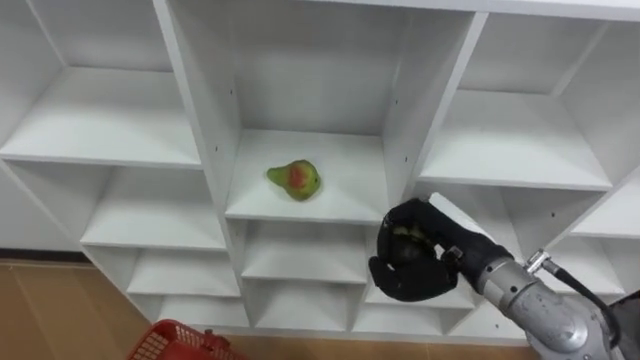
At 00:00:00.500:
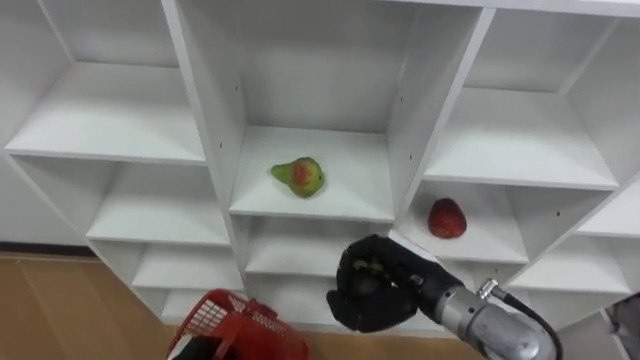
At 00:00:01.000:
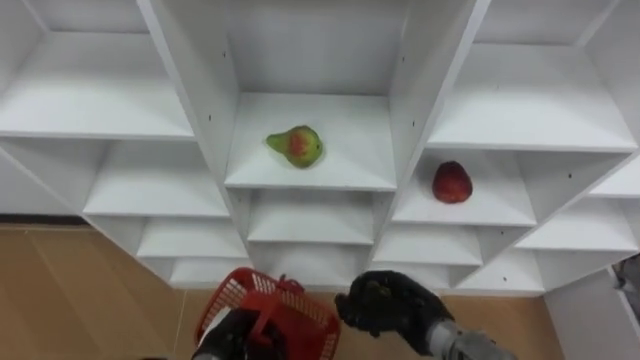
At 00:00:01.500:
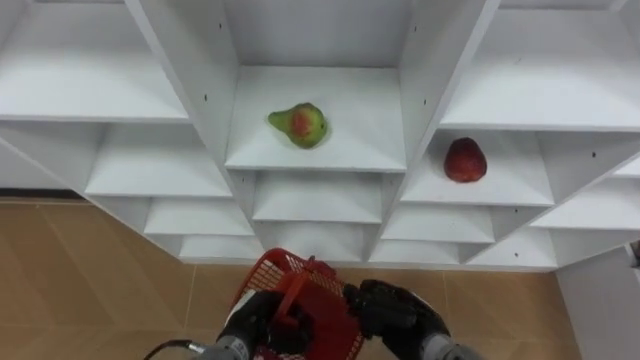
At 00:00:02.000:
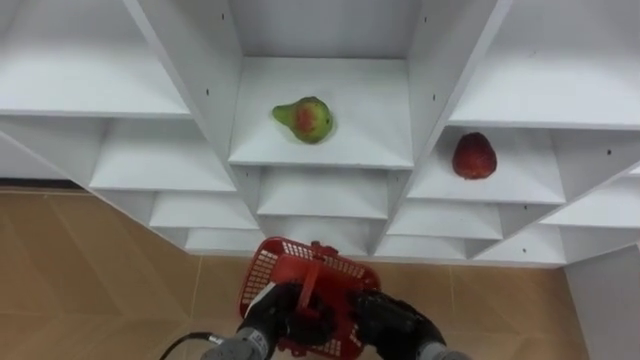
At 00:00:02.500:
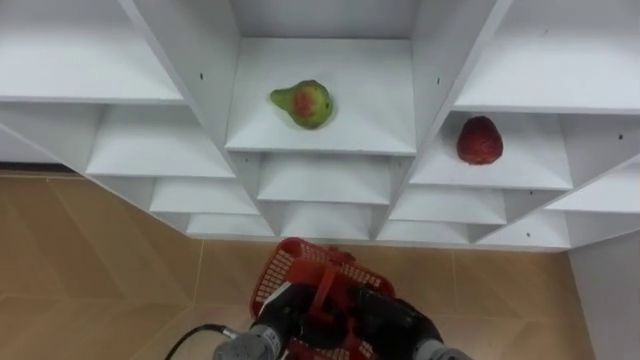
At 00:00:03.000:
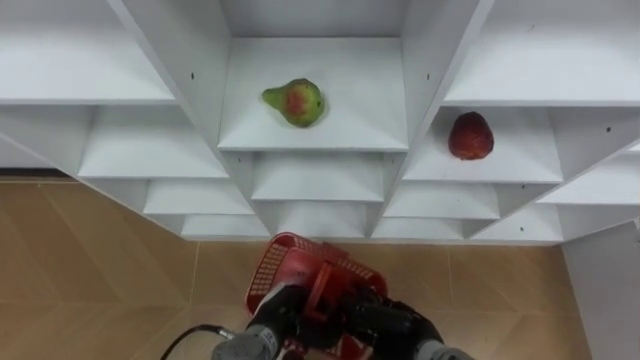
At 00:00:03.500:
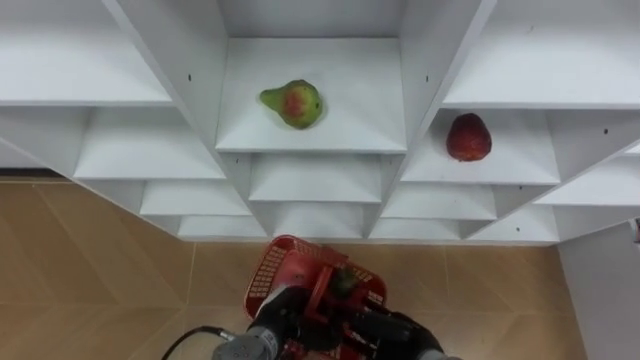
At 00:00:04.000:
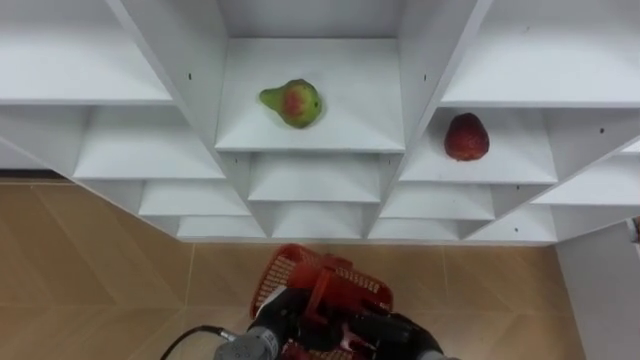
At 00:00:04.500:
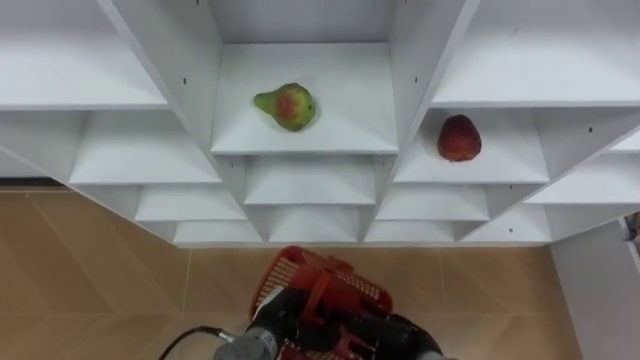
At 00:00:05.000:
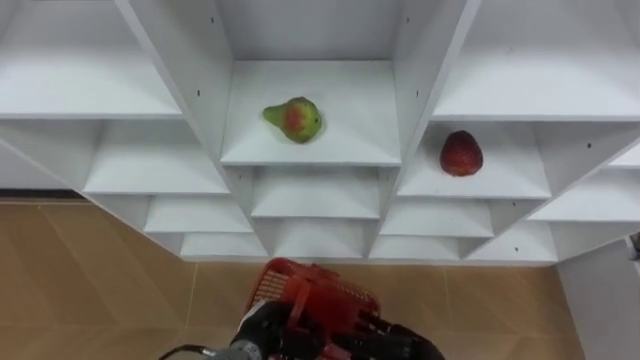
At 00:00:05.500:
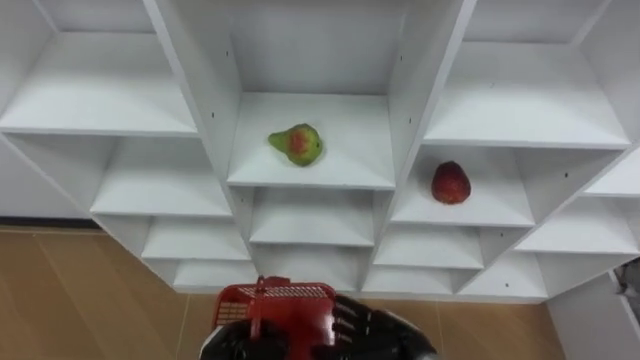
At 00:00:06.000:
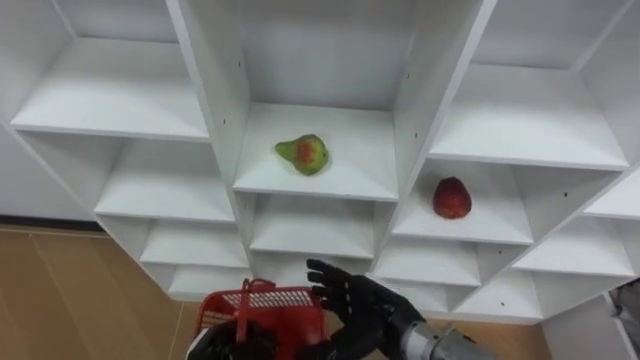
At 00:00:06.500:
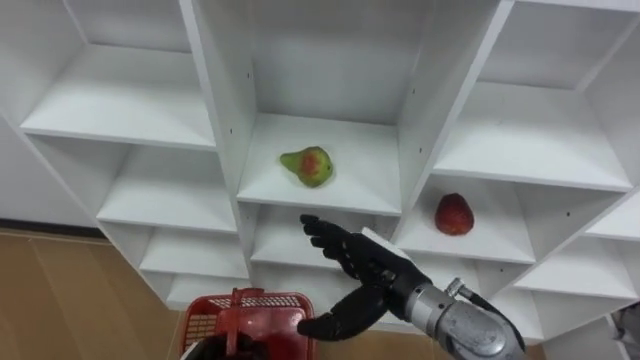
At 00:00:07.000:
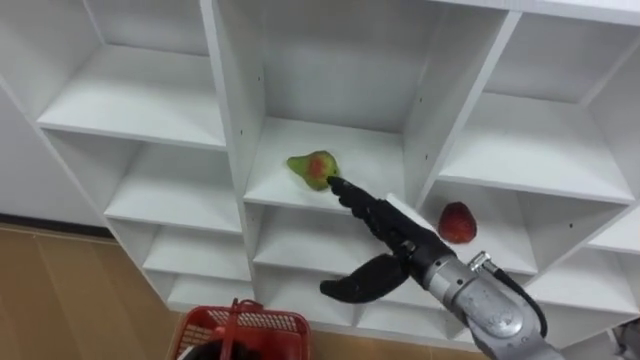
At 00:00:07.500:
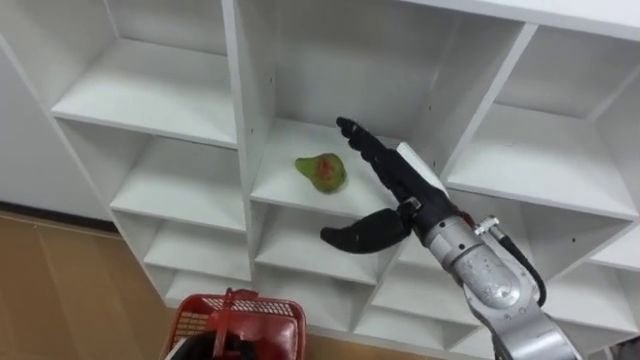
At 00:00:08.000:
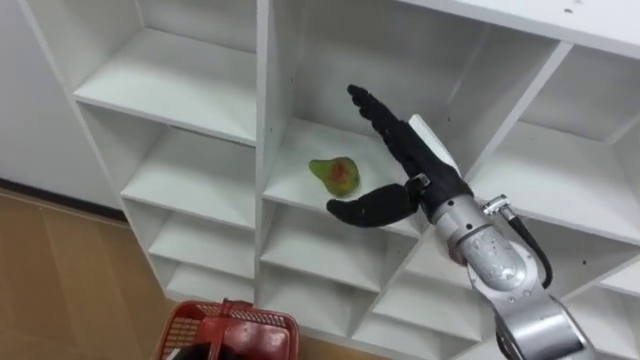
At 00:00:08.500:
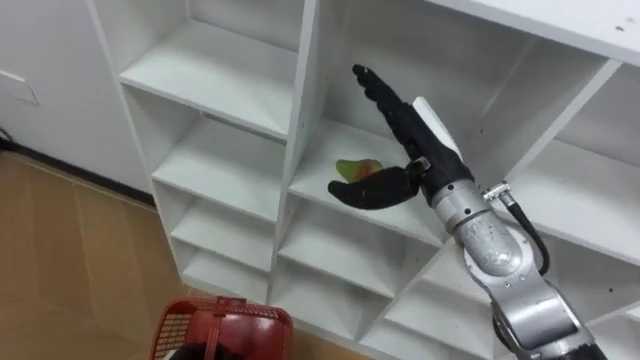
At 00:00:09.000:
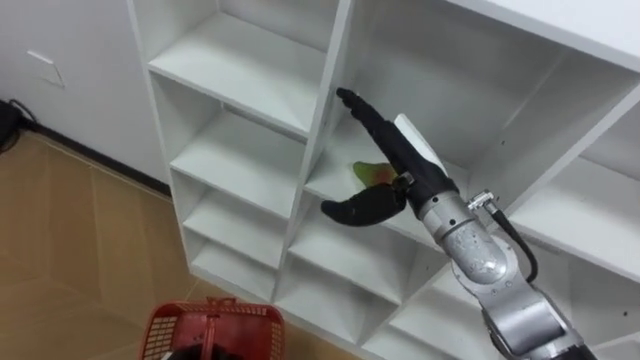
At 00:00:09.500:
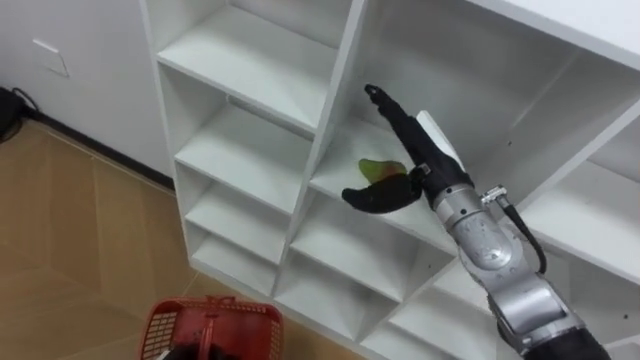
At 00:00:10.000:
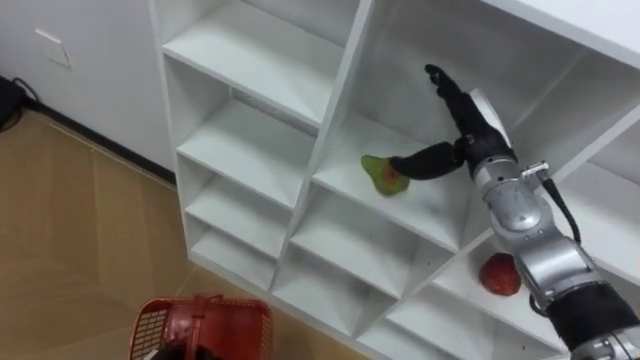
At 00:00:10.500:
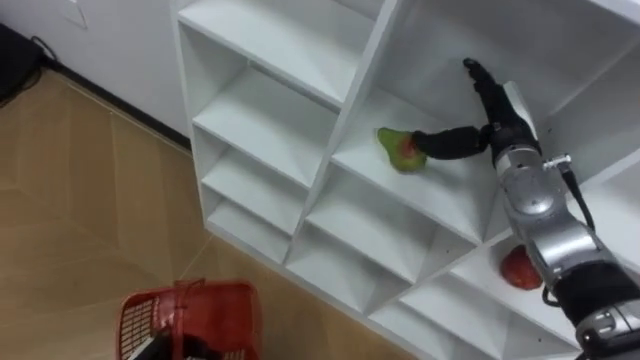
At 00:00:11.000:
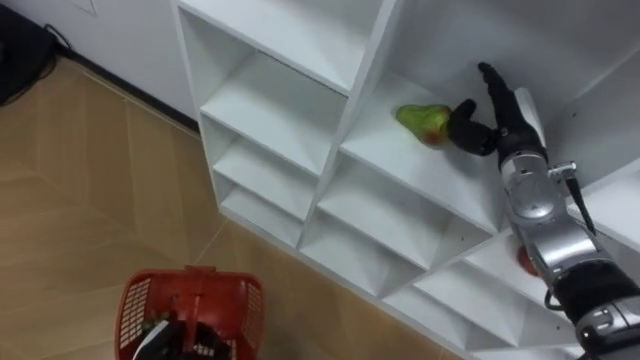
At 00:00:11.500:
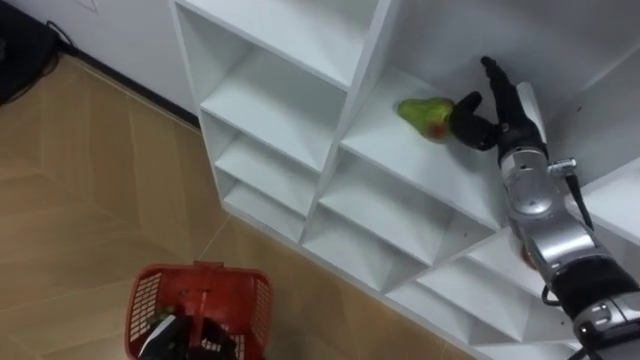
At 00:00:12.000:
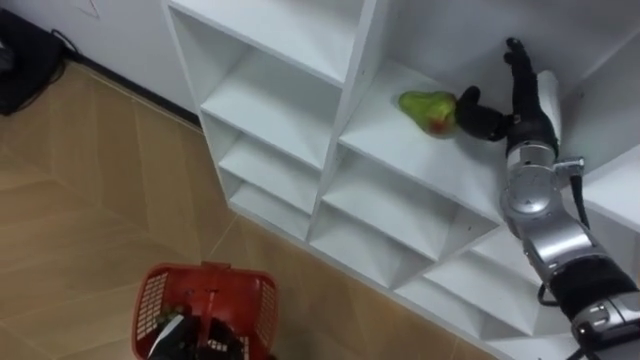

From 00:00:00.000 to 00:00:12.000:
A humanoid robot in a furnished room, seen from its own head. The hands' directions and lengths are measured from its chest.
Task of the whole recording: Hold the basket and collect the fruits from 3 different cells of the closet into it.
From 00:00:00.000 to 00:00:02.000: The right hand heads downward, covering some 20 cm.
From 00:00:02.000 to 00:00:04.000: The right hand opens.
From 00:00:04.000 to 00:00:06.000: The right hand travels upward by roughly 10 cm; the left hand travels to the left by roughly 10 cm.
From 00:00:06.000 to 00:00:08.000: The right hand shifts approximately 20 cm upward and forward.
From 00:00:08.000 to 00:00:10.000: The right hand shifts roughly 10 cm to the right and forward.
From 00:00:10.000 to 00:00:12.000: The right hand travels to the right by about 5 cm.

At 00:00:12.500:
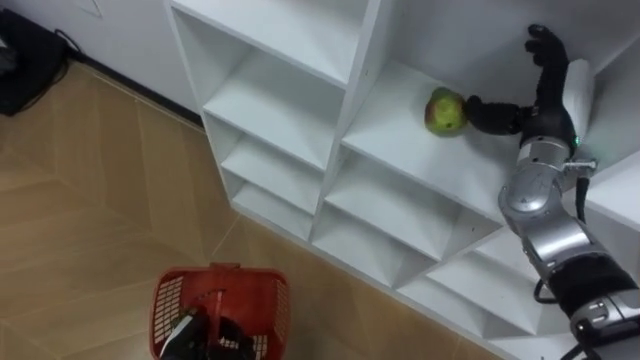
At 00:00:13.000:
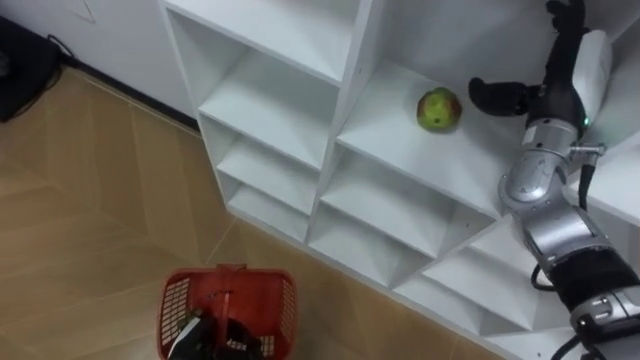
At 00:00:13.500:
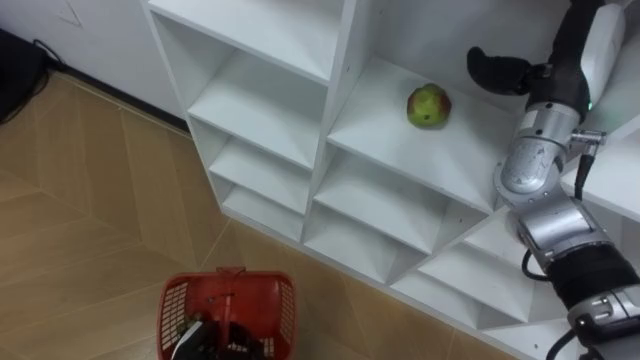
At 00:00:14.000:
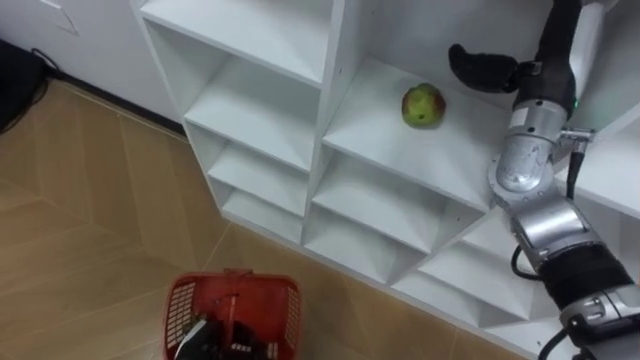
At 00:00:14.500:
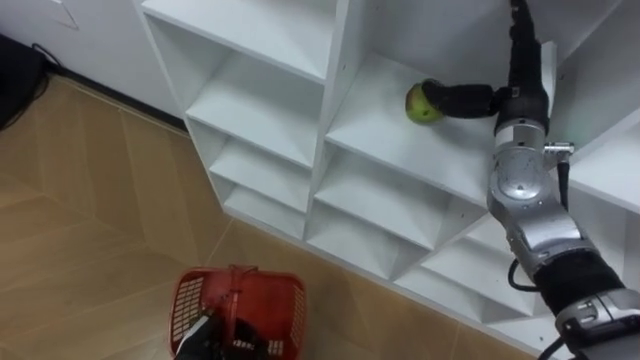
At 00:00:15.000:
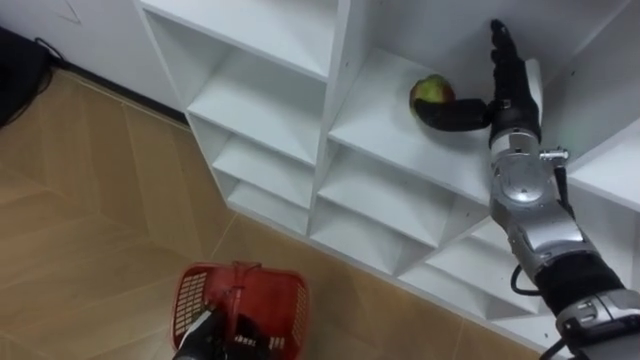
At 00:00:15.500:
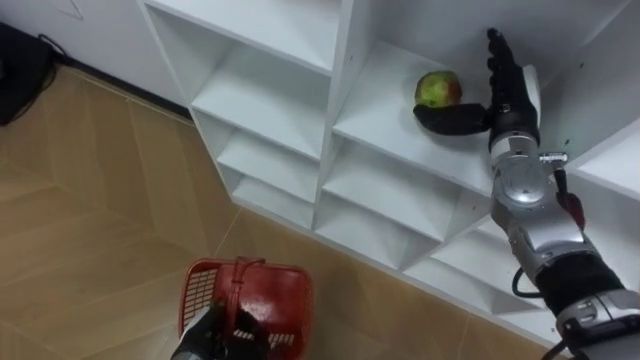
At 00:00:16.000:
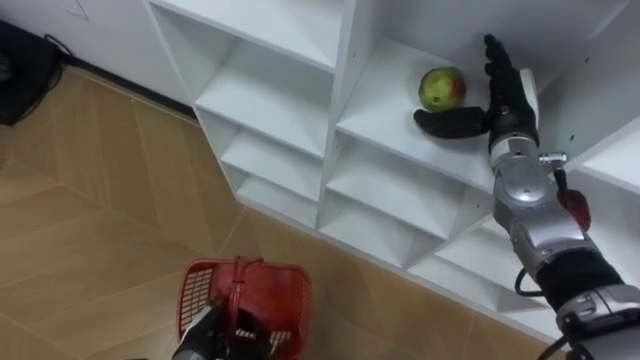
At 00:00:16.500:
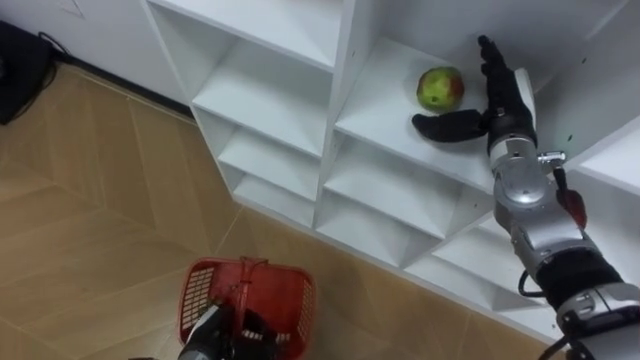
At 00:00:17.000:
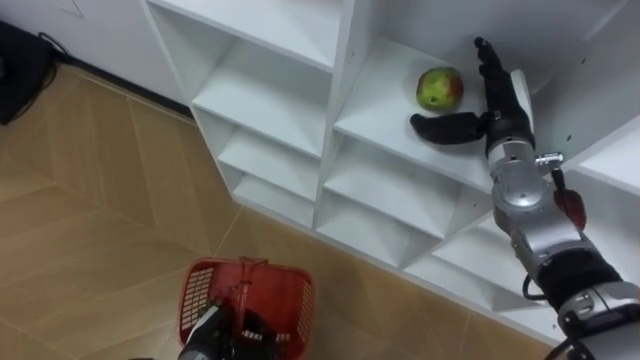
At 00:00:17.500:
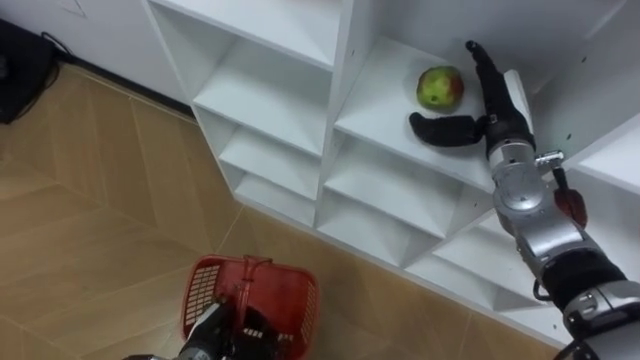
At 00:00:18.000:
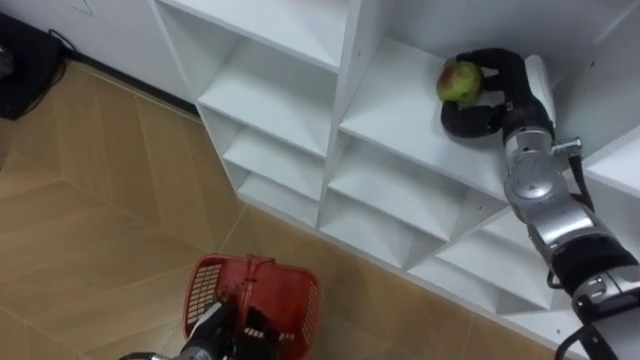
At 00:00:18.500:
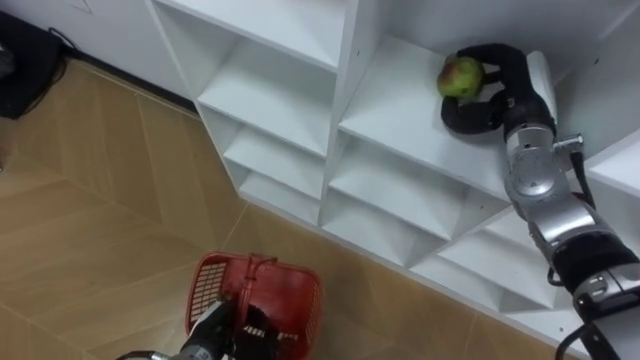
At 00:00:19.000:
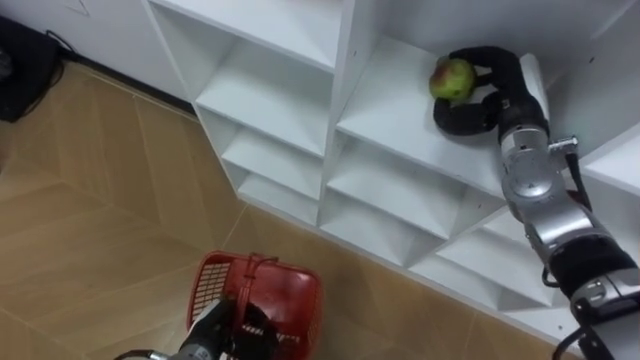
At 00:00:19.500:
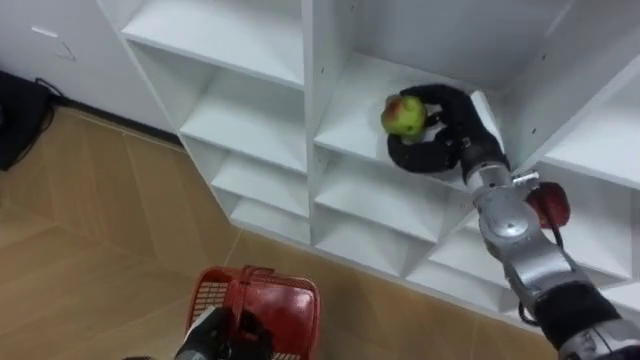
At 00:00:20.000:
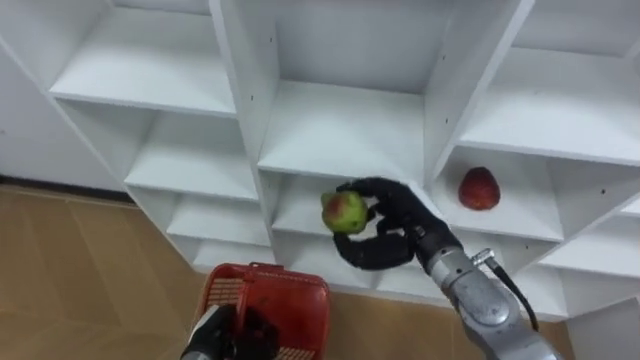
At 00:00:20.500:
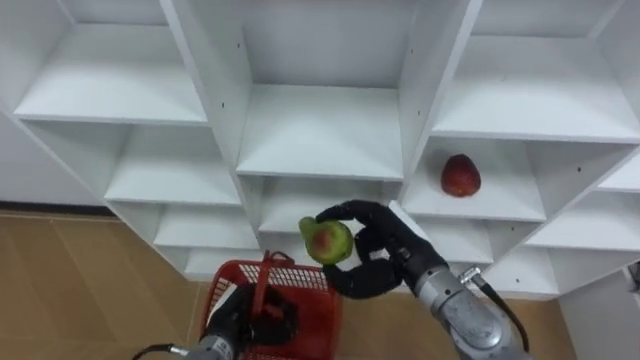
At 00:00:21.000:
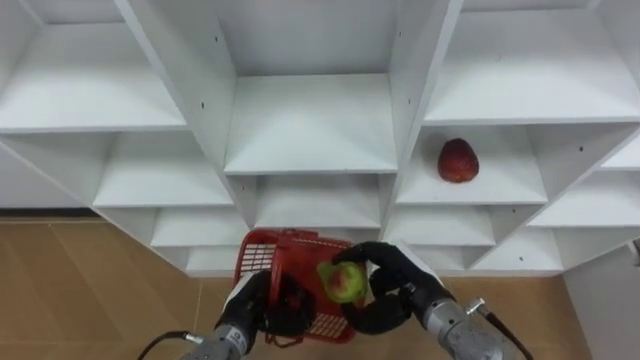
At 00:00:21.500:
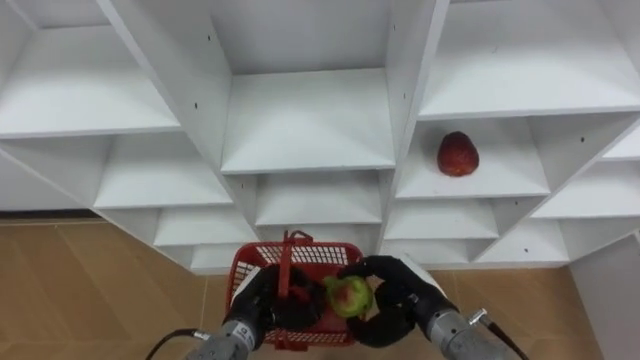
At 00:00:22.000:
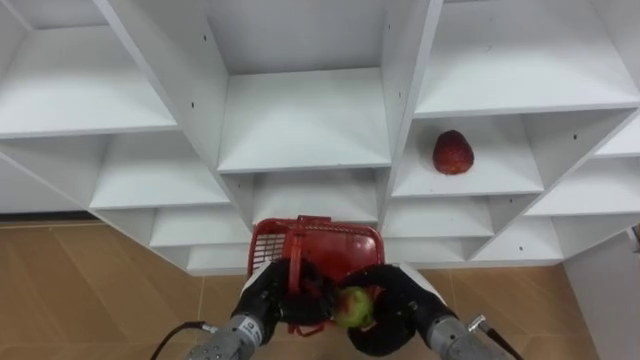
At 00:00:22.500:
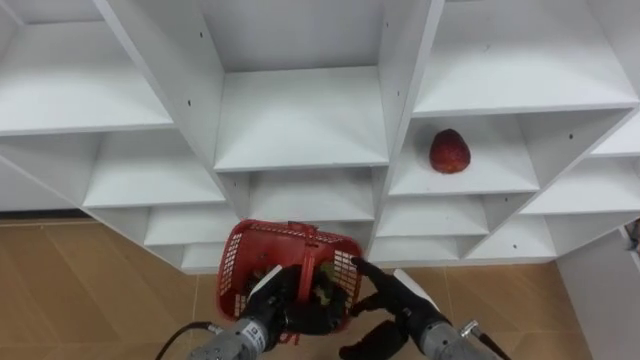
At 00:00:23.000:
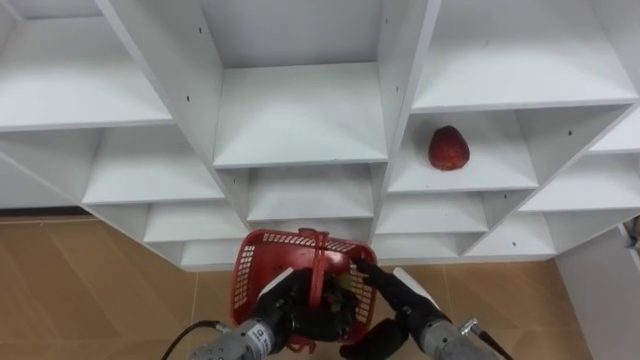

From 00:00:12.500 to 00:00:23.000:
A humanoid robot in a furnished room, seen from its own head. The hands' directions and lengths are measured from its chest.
Task of the whole recording: Hold the basket and collect the fruits from 3 different cells of the closet into it.
From 00:00:16.500 to 00:00:19.000: The right hand closes up.
From 00:00:19.000 to 00:00:21.000: The right hand heads backward, downward and to the left, covering roughly 25 cm. The left hand heads to the right, covering about 5 cm.
From 00:00:21.000 to 00:00:23.000: The right hand opens its fingers; the left hand travels to the right by approximately 5 cm.
